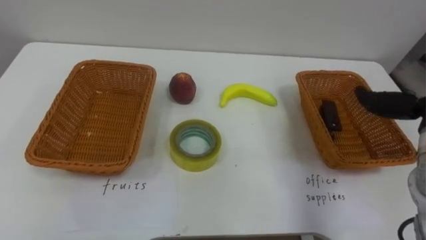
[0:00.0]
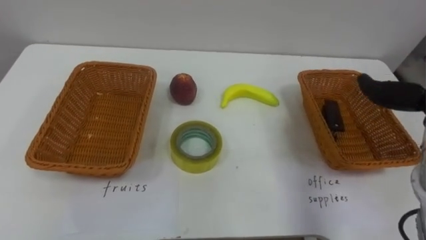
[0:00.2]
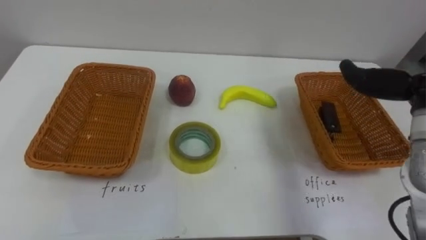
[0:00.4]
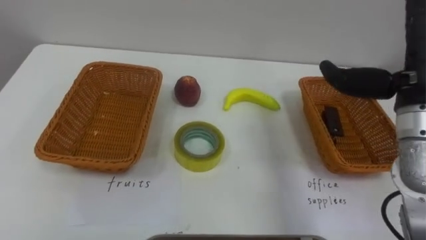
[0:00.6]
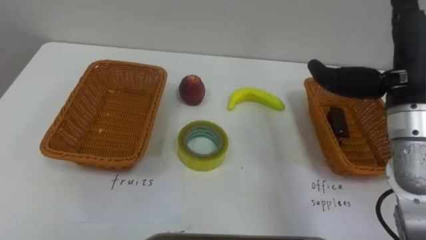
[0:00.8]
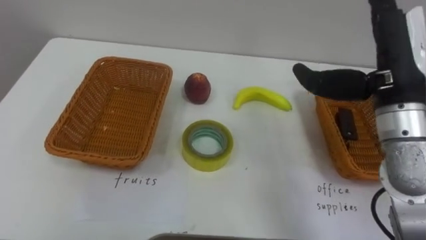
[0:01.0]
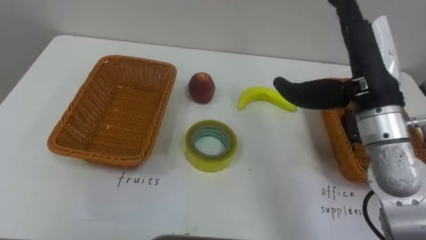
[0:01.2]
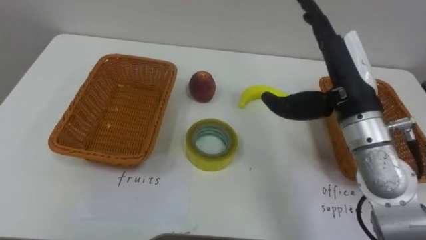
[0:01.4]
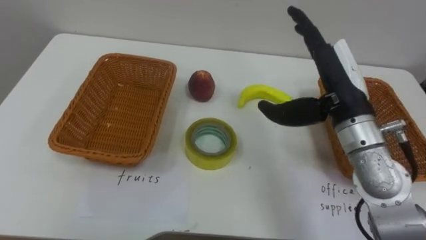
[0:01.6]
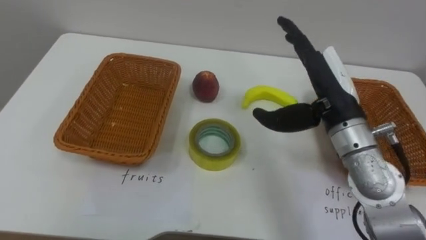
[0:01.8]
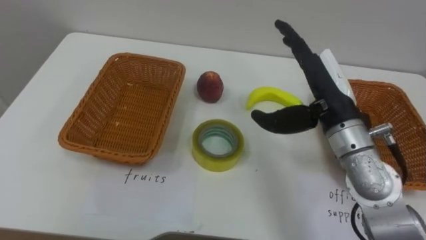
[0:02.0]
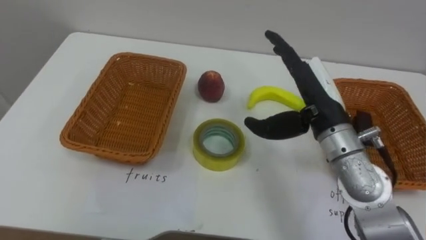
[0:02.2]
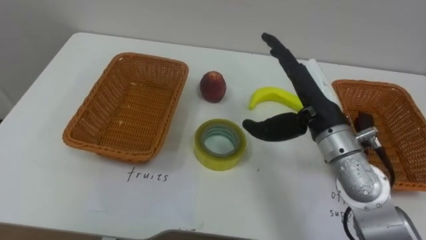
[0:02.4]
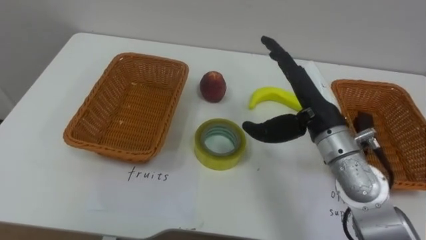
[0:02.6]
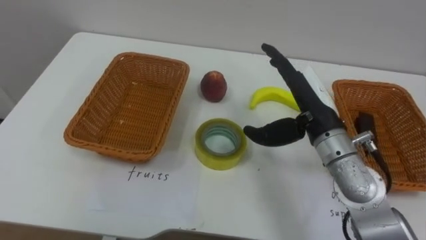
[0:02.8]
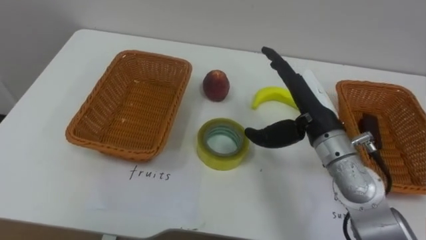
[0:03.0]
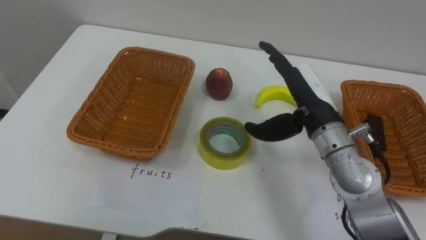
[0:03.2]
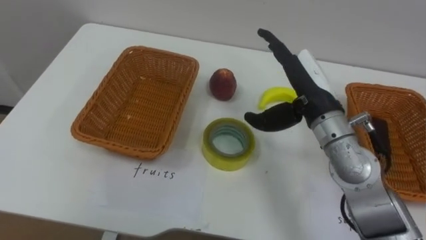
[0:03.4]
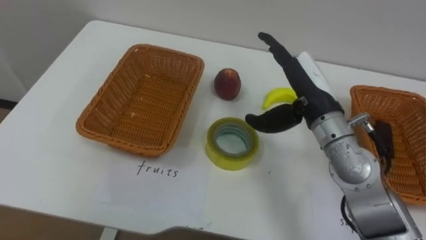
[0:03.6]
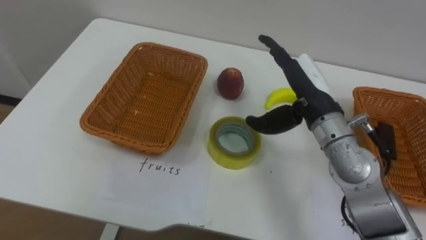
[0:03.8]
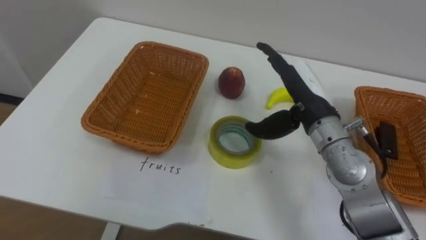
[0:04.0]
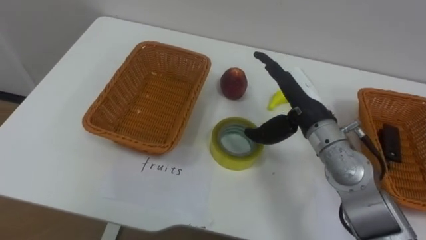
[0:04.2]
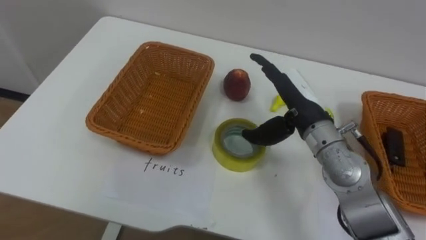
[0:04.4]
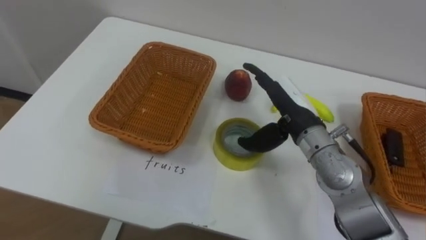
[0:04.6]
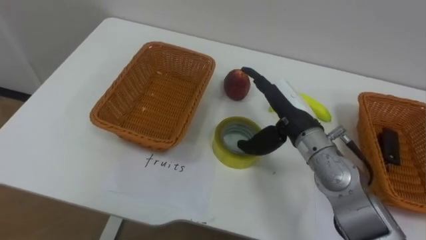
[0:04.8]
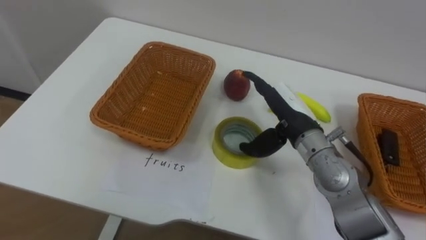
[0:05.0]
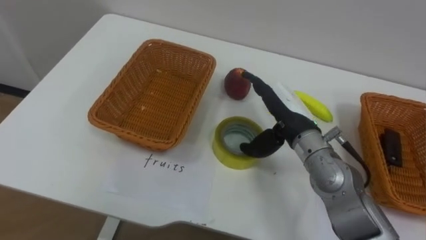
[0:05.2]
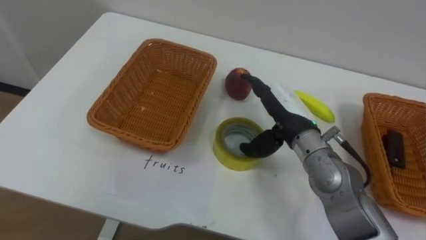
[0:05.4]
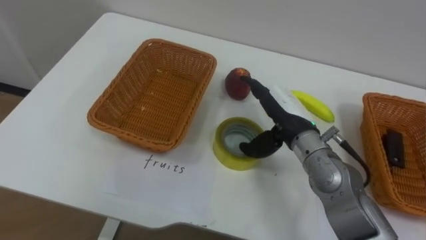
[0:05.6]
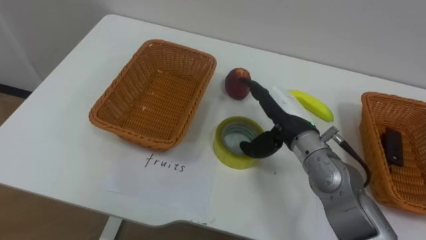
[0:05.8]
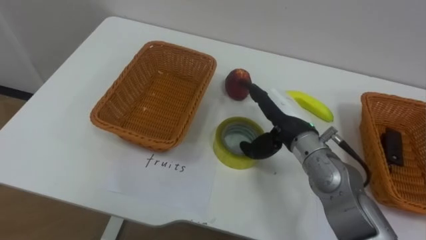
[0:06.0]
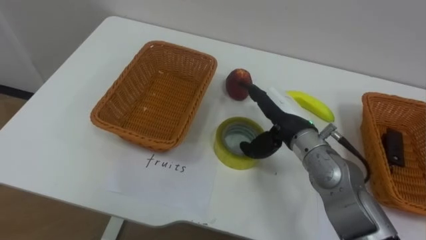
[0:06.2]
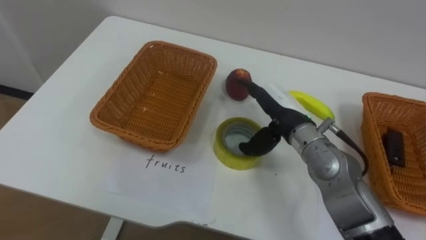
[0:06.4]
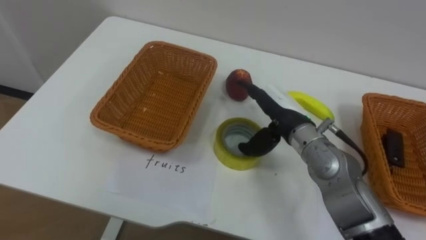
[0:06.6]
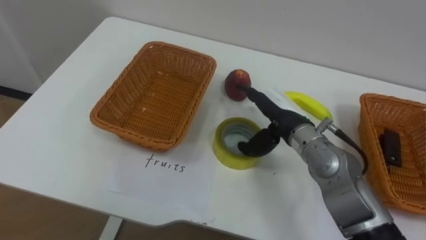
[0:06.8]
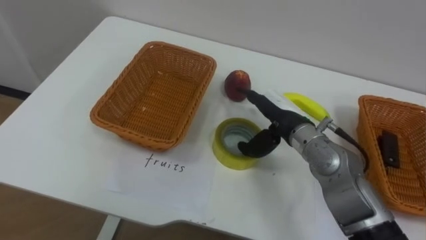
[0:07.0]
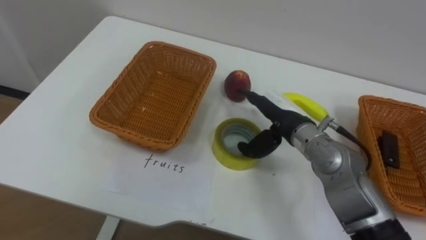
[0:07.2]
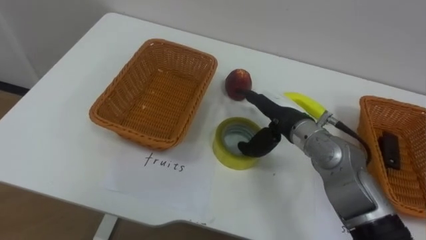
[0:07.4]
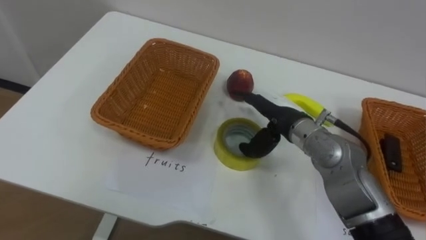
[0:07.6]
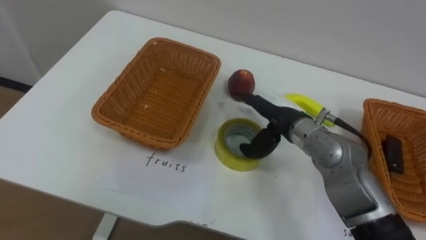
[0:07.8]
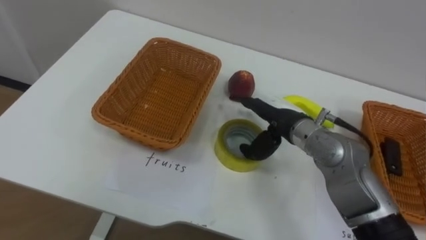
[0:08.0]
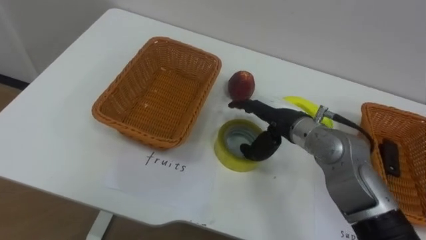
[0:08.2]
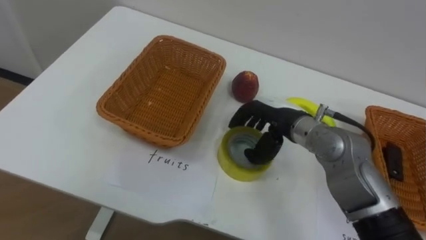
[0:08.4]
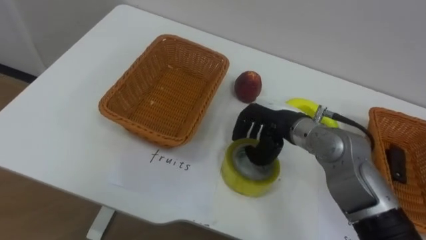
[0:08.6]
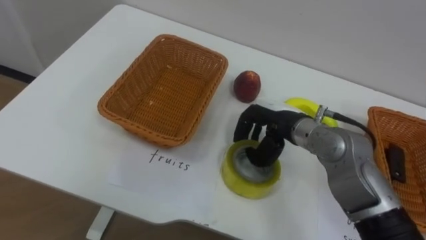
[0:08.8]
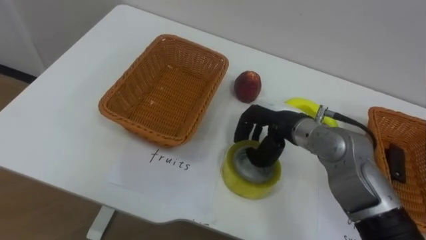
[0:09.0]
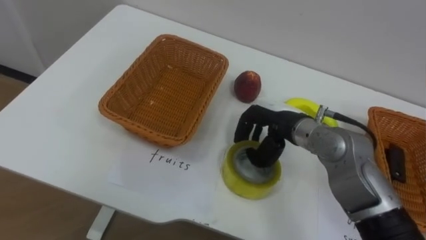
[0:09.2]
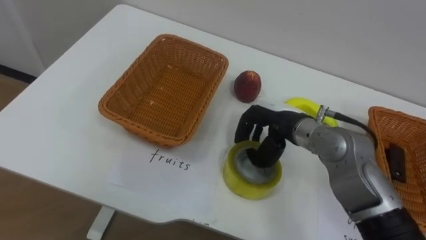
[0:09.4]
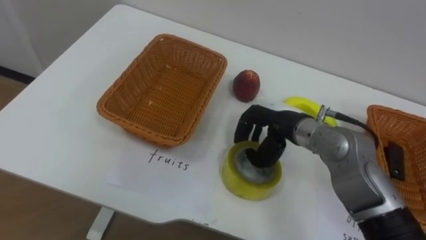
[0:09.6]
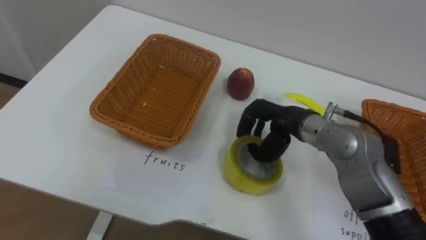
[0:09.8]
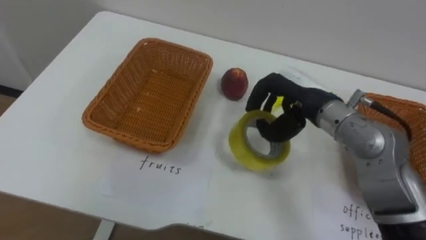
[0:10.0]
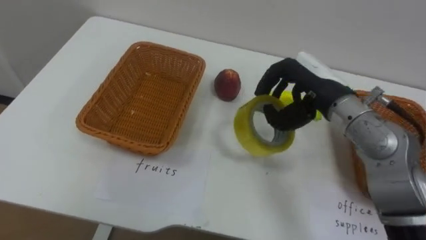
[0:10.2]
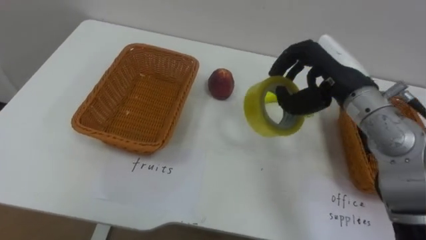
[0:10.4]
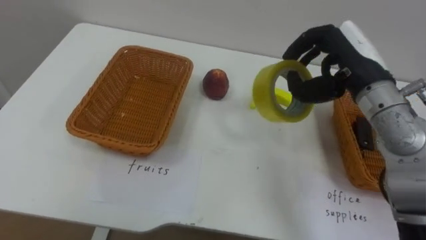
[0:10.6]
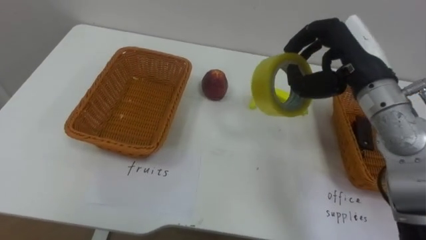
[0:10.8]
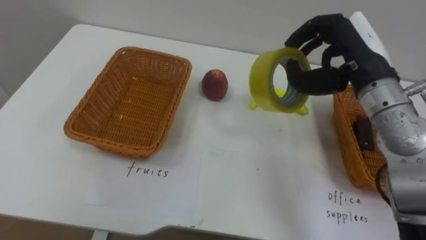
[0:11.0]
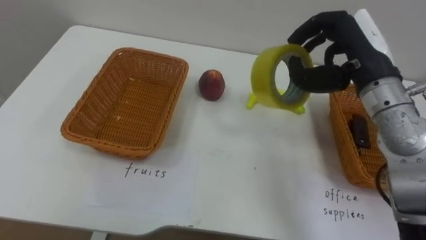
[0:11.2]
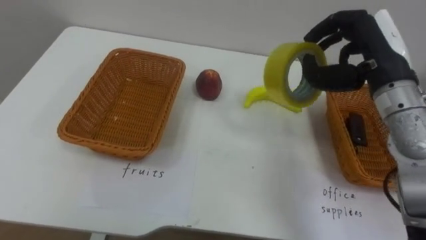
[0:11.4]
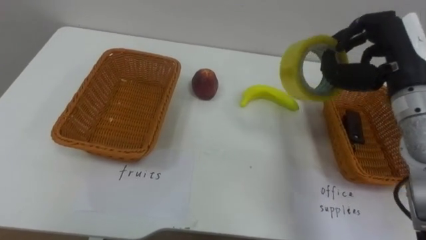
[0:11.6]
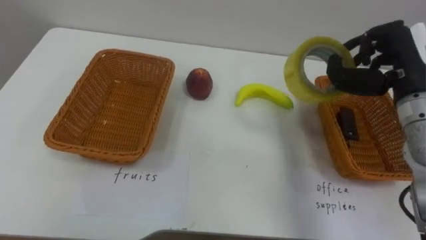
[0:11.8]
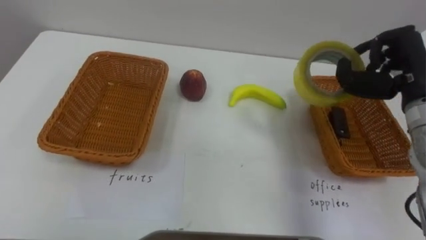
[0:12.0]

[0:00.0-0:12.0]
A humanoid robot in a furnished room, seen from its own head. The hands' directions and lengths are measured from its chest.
Task of the whole recording: Separate the items on the table and place them into the two baskets.
1.6 to 3.0 s: The right hand travels downward by roughly 5 cm.
7.6 to 9.0 s: The right hand closes up.
9.0 to 10.4 s: The right hand is displaced upward and to the right by roughly 10 cm.
10.4 to 12.0 s: The right hand goes approximately 10 cm to the right.

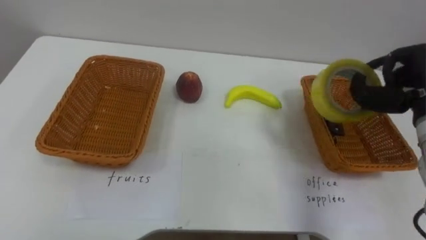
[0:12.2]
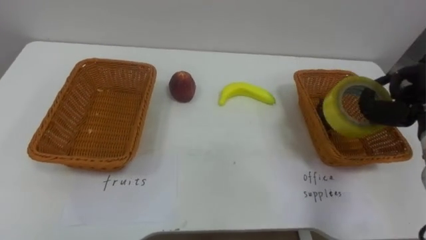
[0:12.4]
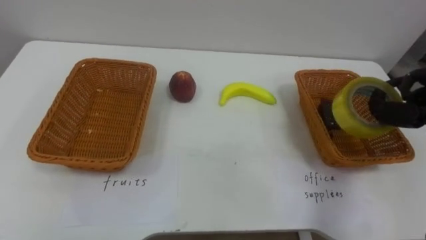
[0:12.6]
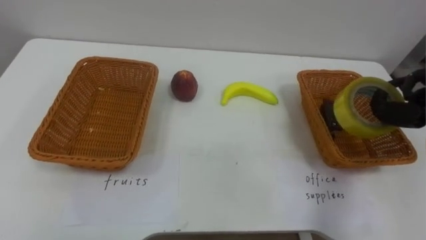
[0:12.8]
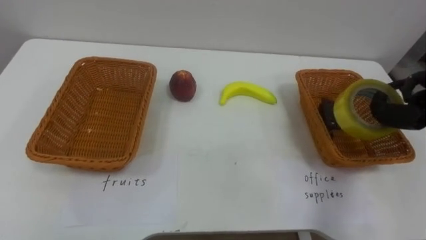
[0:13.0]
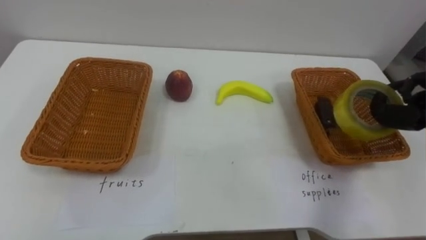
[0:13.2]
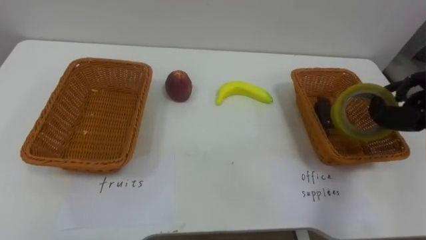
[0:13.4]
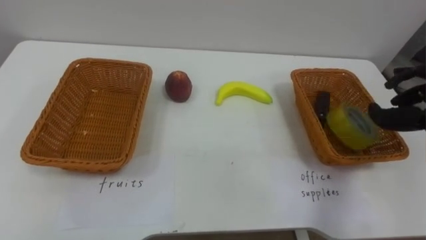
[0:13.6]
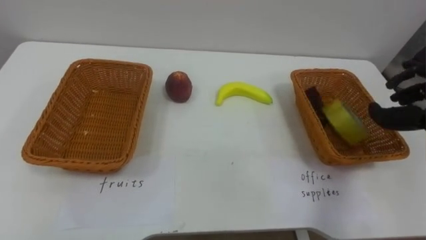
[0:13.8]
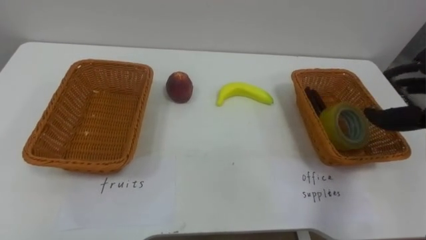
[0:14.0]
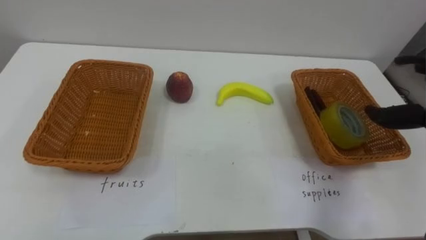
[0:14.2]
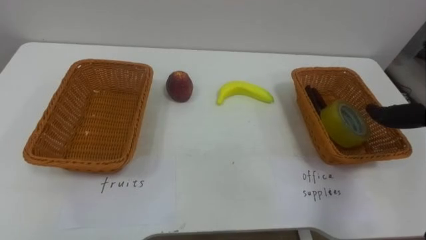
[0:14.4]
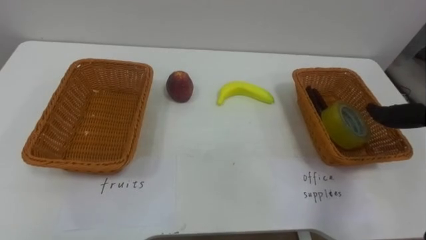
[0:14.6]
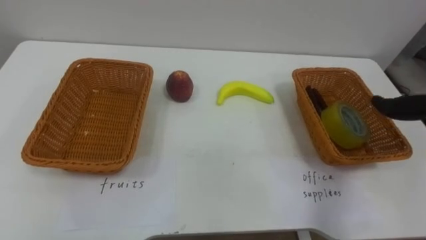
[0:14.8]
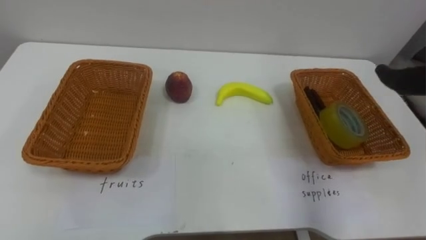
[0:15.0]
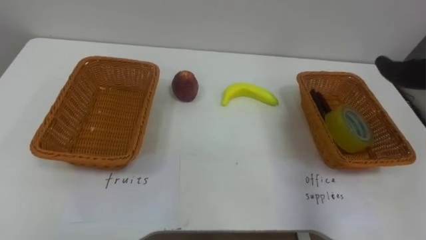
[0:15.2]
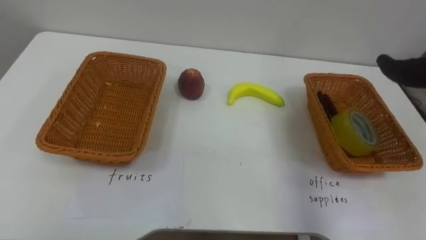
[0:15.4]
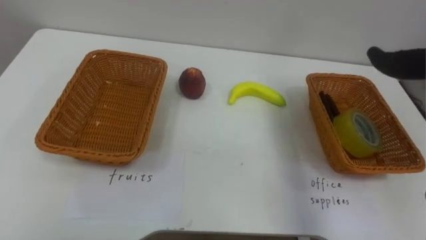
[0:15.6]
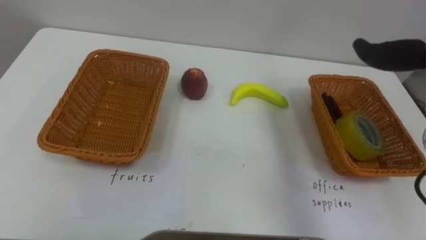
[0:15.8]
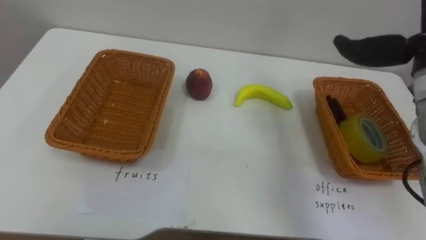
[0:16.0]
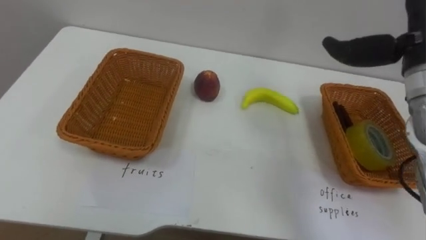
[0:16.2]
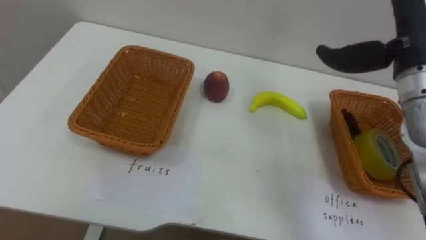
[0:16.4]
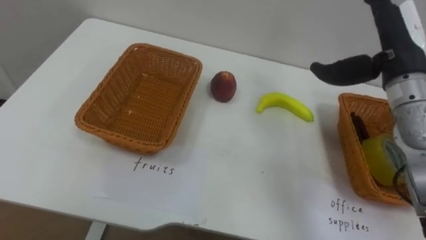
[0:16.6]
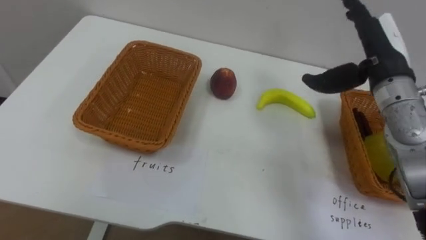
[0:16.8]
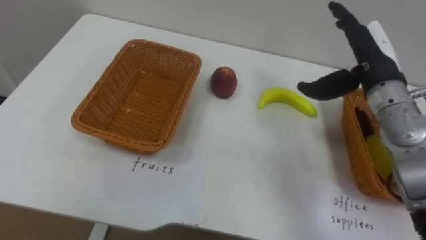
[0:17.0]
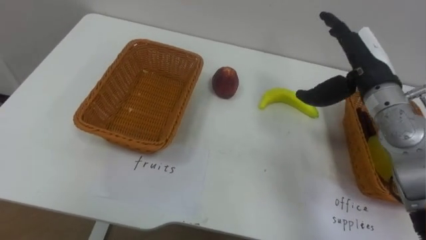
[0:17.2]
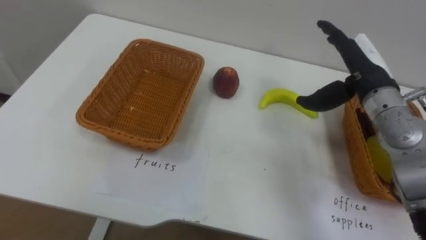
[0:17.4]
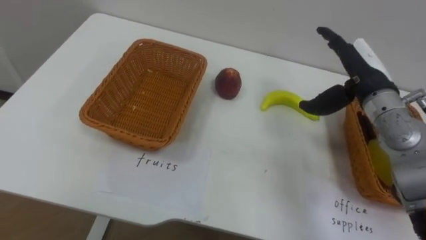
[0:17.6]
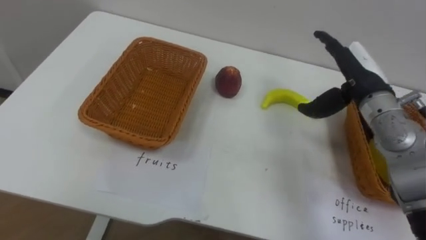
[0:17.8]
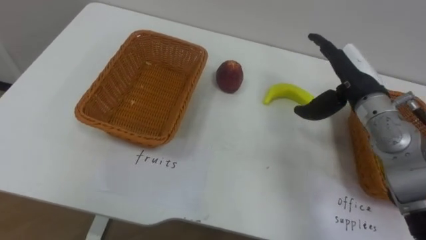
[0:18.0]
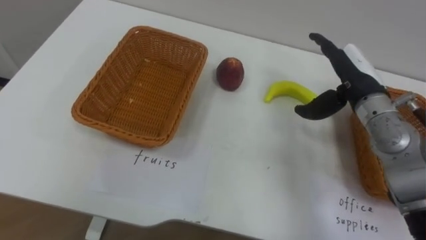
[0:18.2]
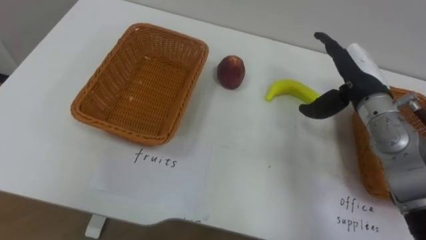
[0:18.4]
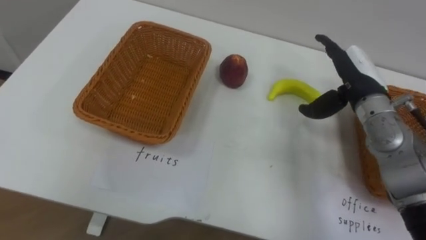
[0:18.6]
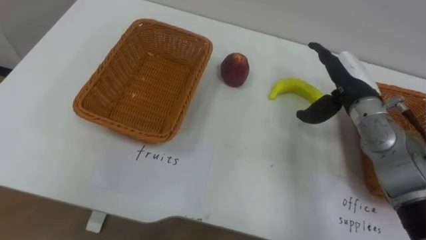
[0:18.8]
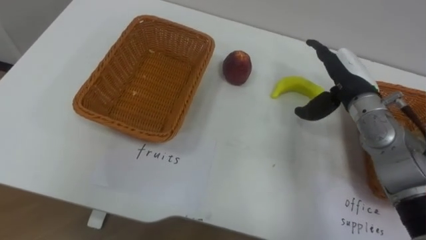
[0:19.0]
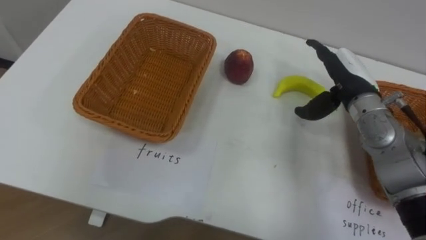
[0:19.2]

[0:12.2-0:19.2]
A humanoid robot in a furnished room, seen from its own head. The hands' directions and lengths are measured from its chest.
Task of the whole recording: Separate the items on the table and place them into the two baskets.
16.4 to 17.8 s: The right hand is displaced downward by about 10 cm.
